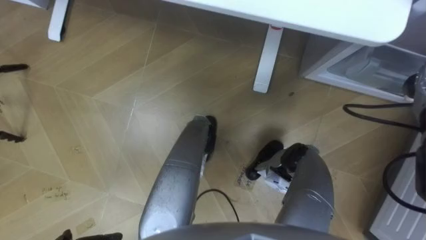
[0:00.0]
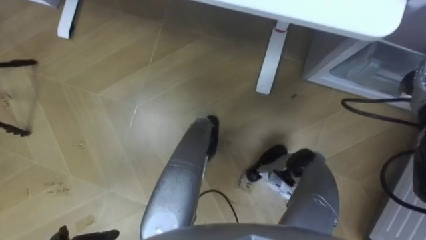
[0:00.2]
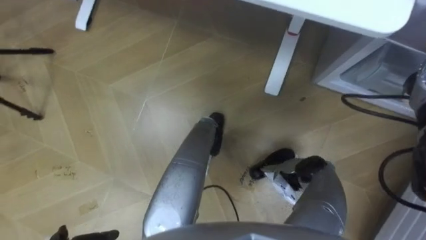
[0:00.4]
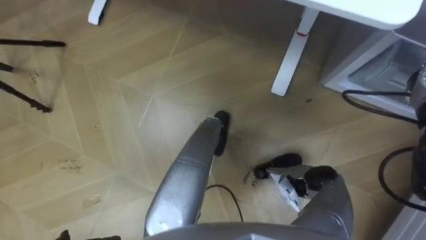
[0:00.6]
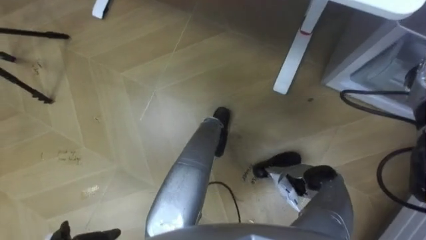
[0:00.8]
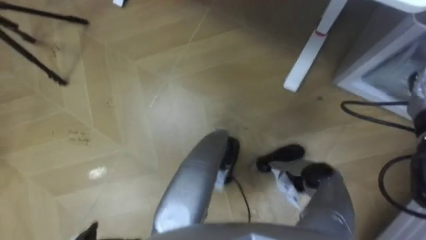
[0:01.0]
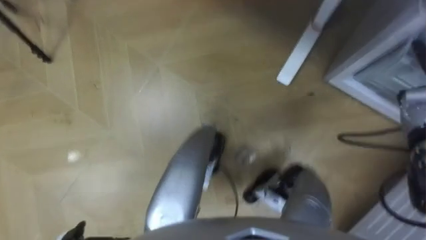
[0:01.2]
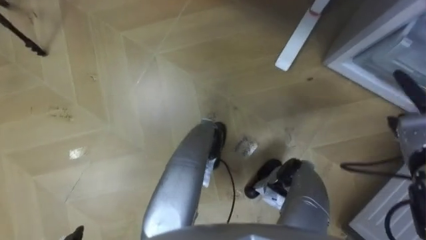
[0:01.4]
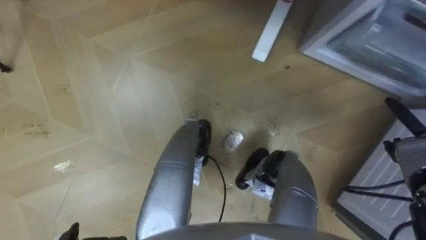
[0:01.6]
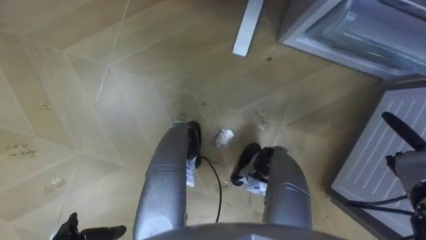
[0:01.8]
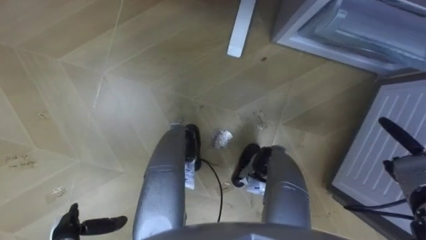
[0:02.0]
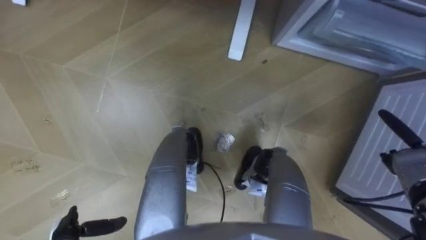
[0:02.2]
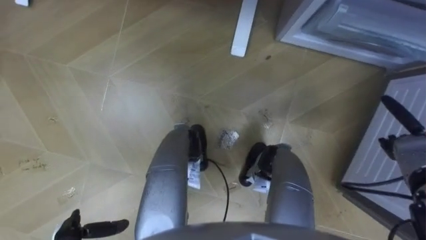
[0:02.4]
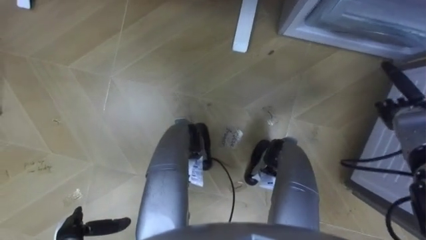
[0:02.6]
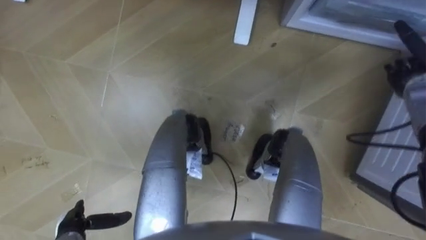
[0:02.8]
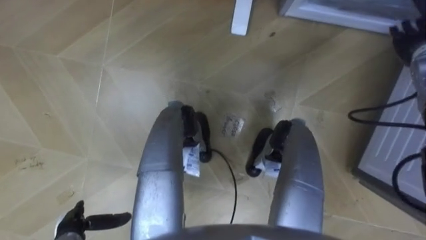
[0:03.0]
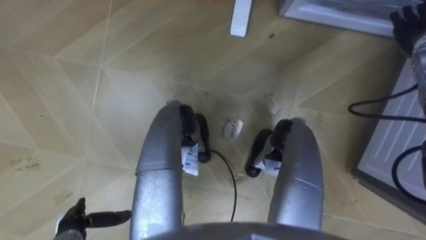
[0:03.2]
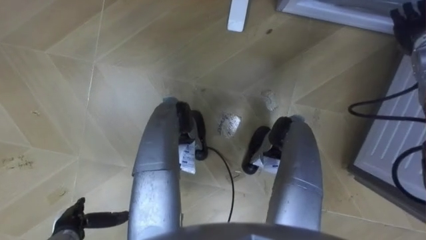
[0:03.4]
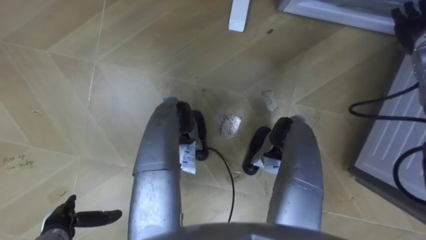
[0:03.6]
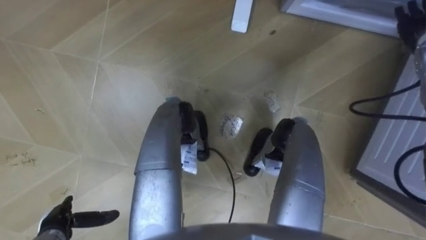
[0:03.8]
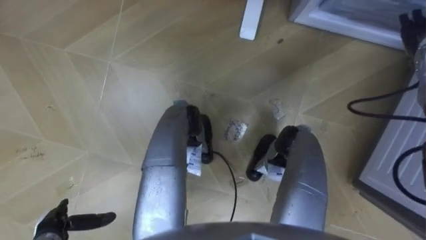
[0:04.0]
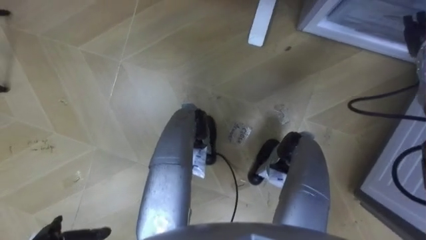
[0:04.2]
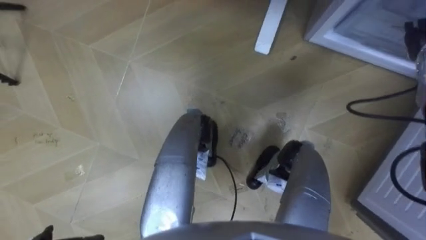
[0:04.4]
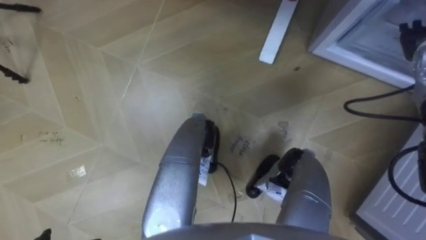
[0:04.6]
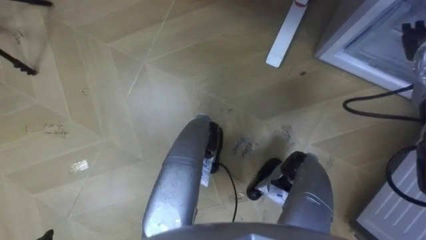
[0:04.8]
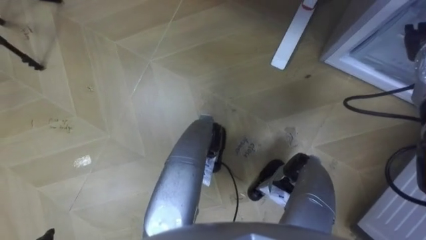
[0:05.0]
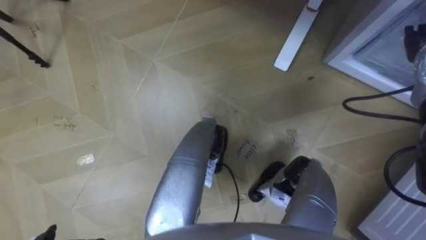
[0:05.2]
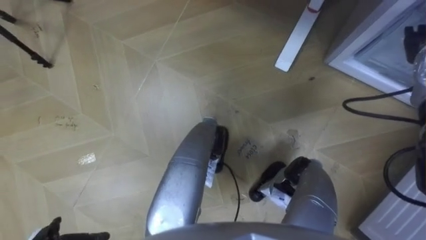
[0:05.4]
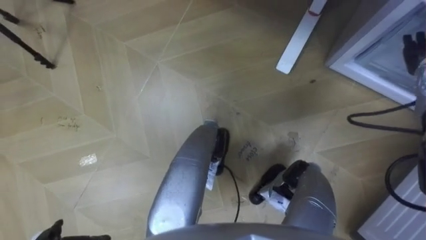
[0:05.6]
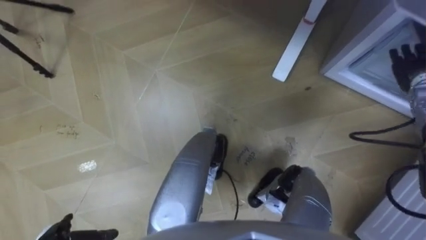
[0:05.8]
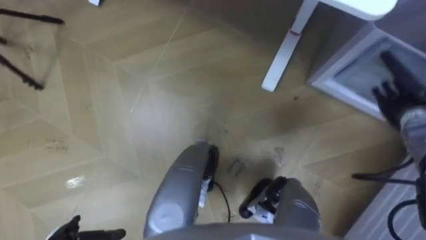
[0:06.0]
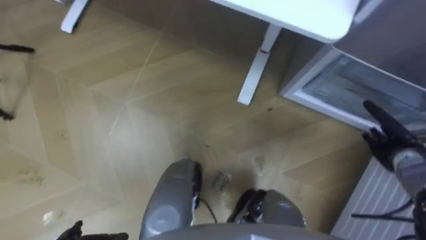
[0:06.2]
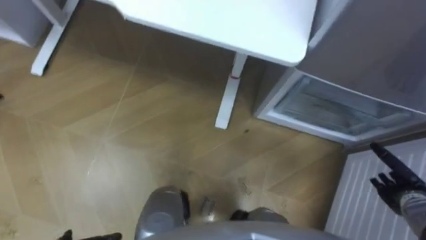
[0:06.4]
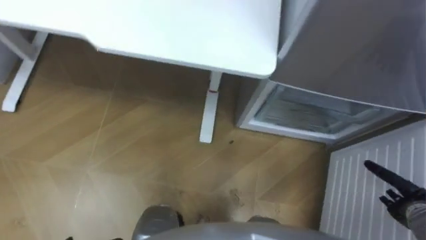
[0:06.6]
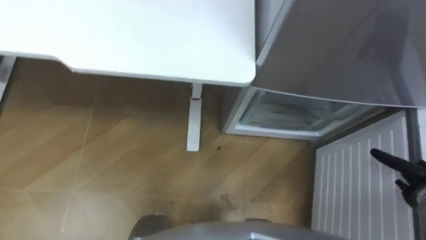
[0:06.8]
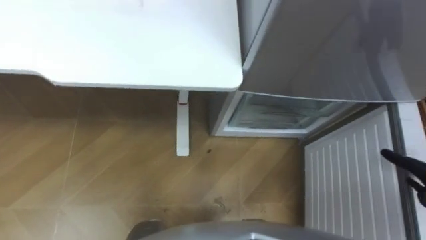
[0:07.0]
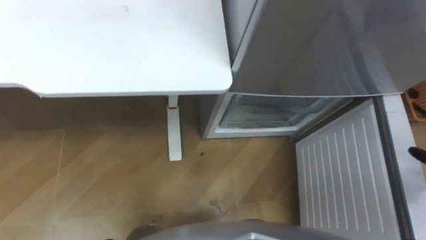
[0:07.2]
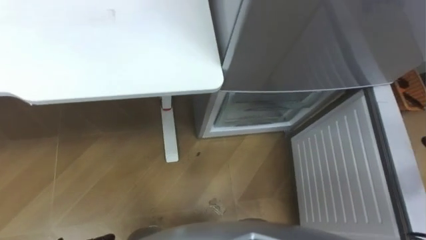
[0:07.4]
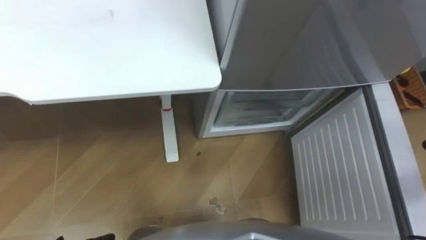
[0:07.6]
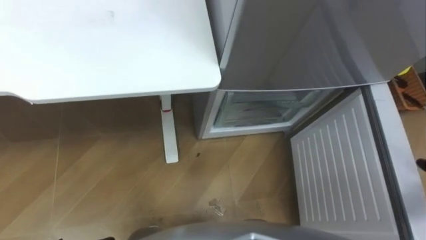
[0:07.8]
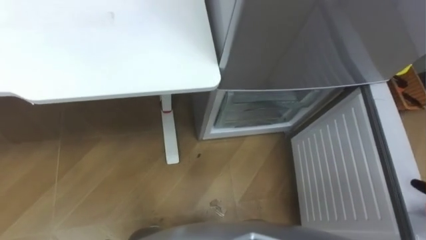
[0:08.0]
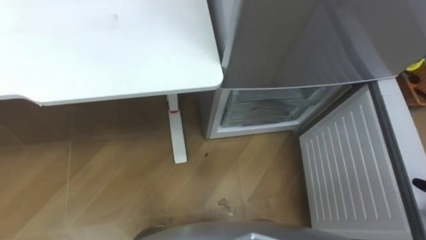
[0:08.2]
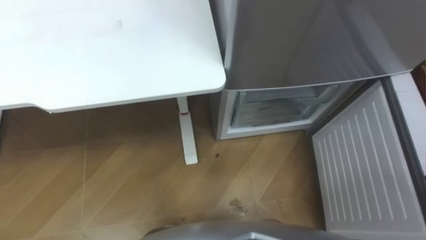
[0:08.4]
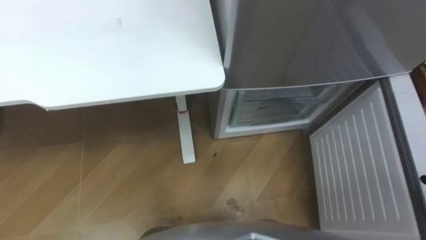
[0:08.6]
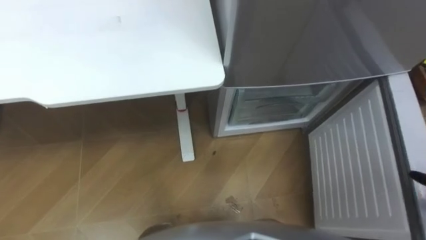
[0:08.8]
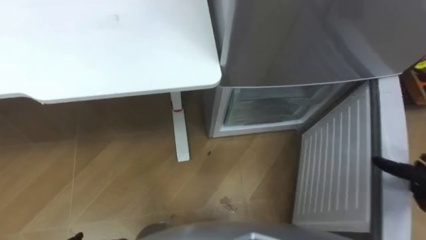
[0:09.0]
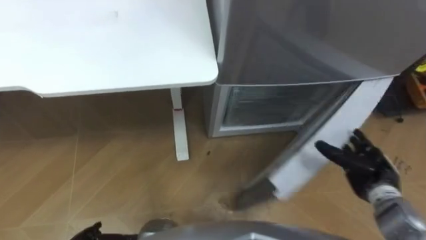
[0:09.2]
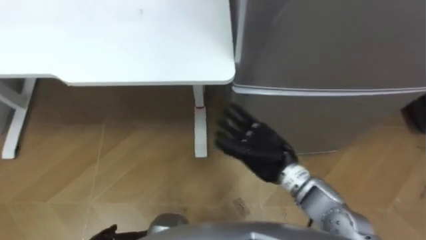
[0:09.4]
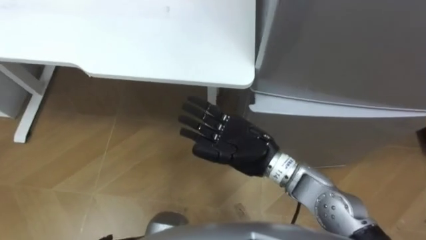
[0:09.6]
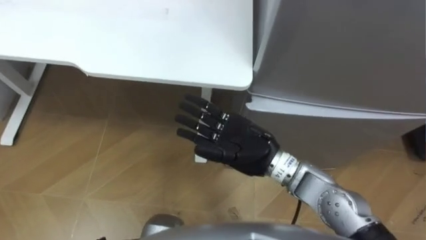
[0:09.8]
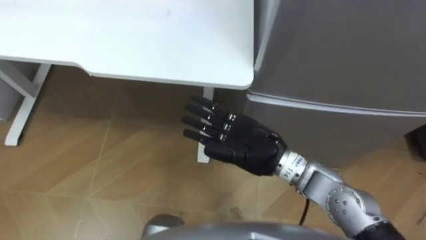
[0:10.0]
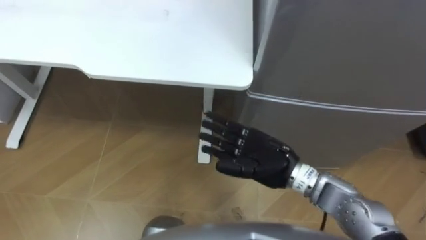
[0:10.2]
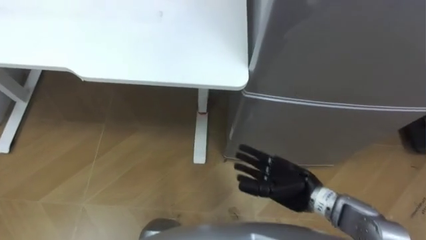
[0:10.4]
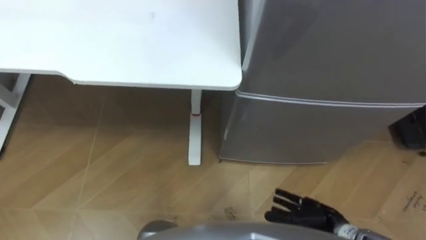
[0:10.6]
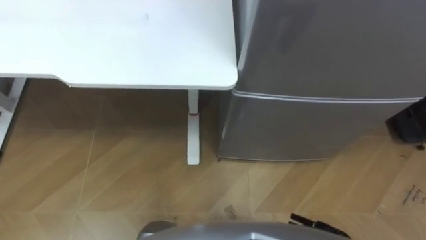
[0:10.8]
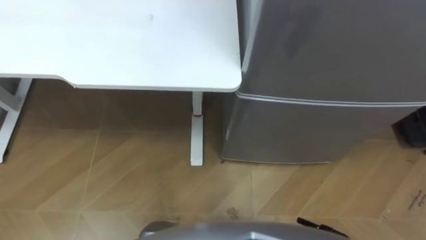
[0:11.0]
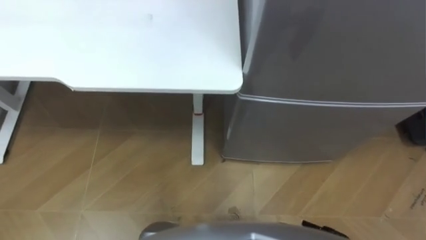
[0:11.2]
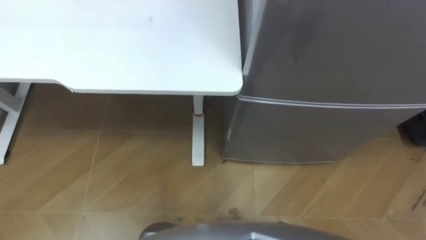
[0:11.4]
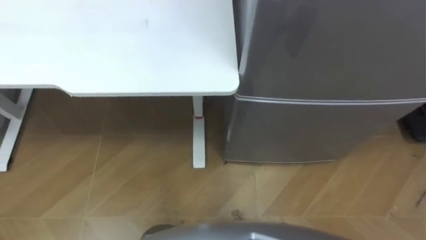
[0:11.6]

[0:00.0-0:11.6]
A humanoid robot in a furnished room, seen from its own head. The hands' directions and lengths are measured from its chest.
Task of the whole recording: Place the drink on the table on the bottom shelf of the refrigerator, then close the drawer and the refrigerator door.
0:01.4 to 0:02.8: The right hand shifts roughly 10 cm forward and upward.

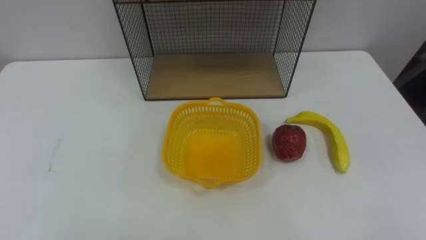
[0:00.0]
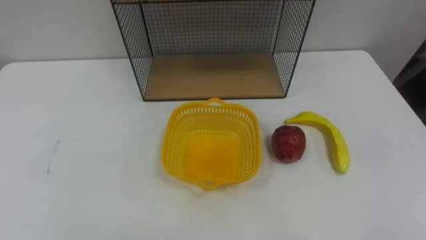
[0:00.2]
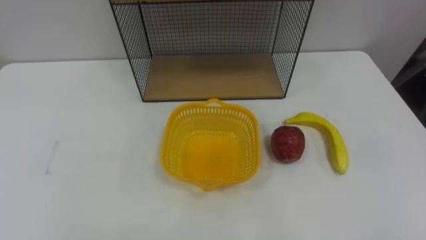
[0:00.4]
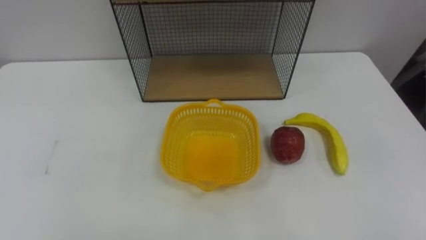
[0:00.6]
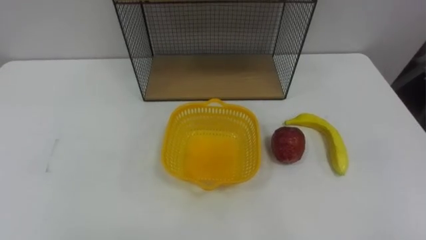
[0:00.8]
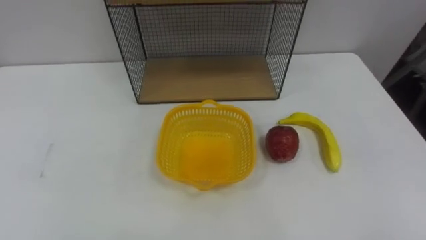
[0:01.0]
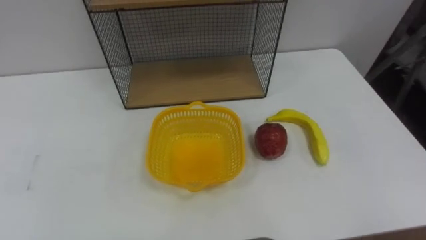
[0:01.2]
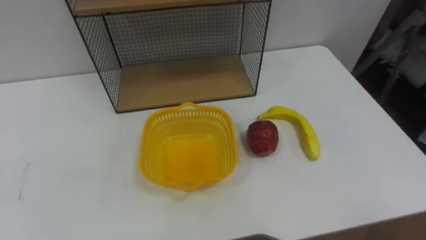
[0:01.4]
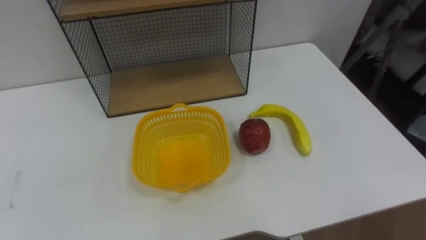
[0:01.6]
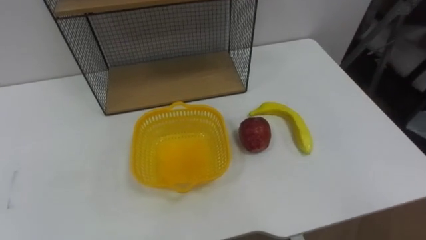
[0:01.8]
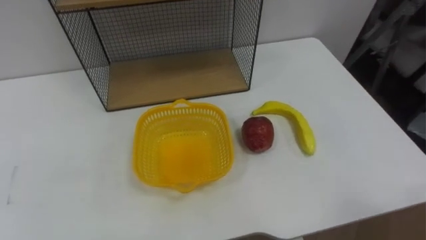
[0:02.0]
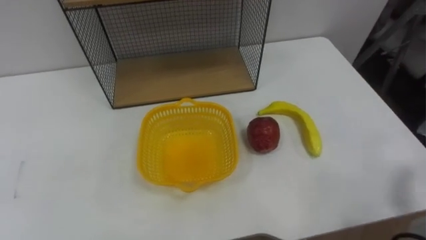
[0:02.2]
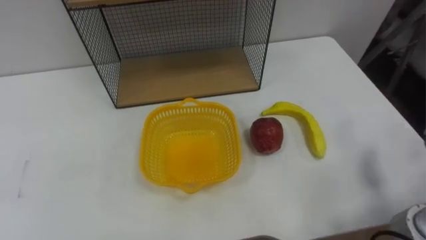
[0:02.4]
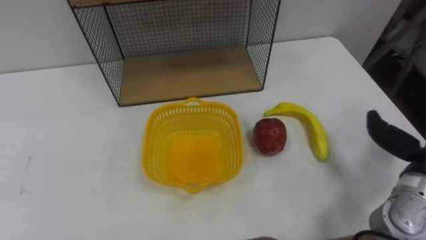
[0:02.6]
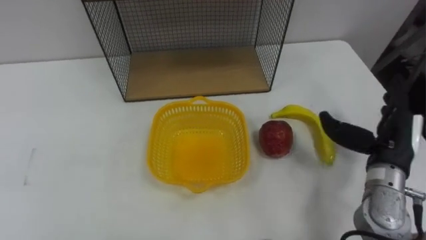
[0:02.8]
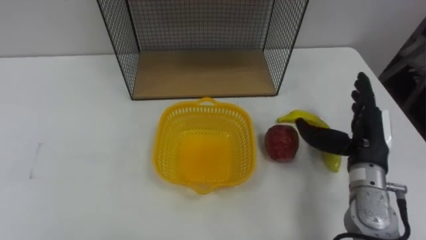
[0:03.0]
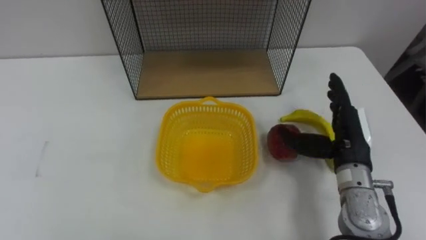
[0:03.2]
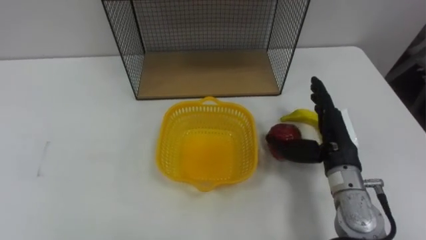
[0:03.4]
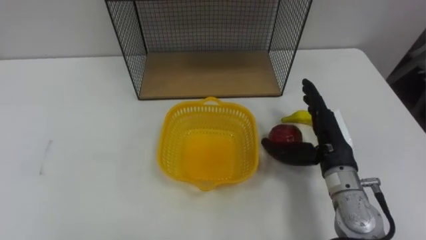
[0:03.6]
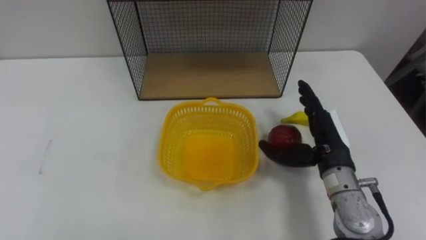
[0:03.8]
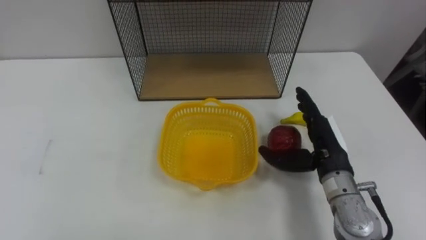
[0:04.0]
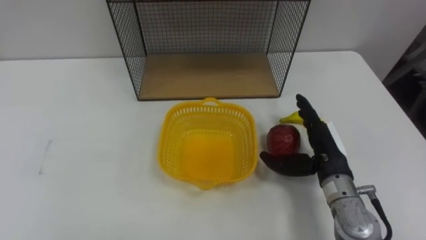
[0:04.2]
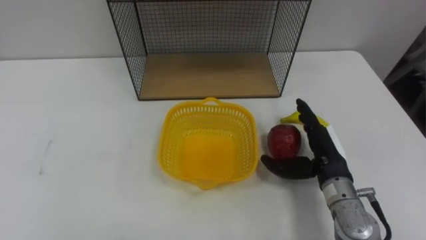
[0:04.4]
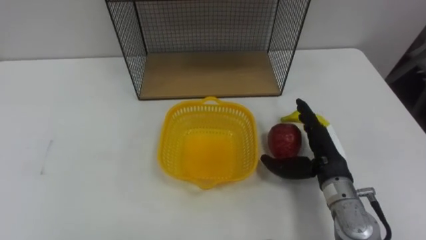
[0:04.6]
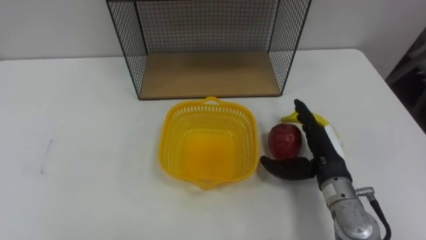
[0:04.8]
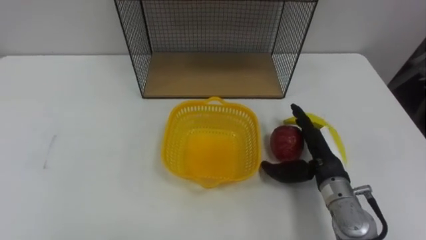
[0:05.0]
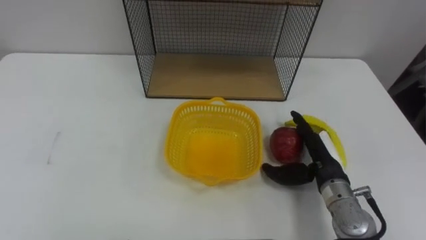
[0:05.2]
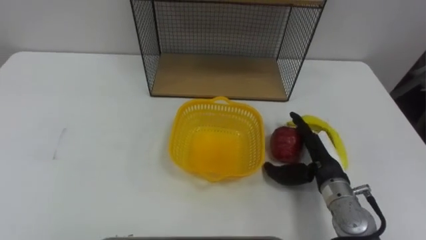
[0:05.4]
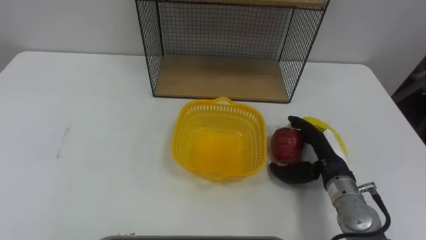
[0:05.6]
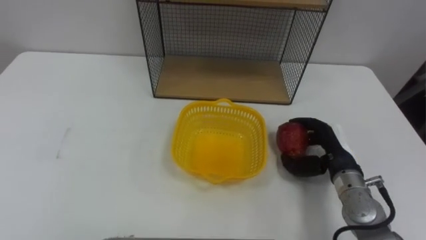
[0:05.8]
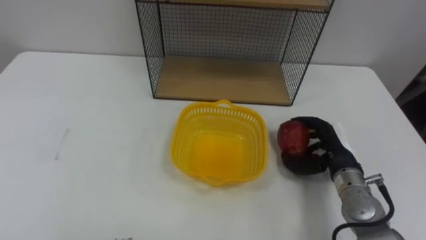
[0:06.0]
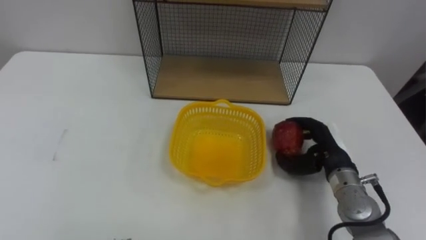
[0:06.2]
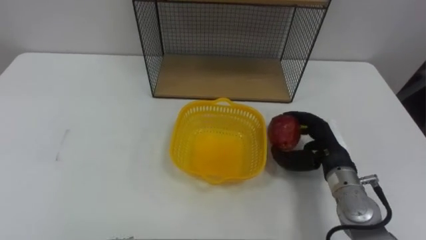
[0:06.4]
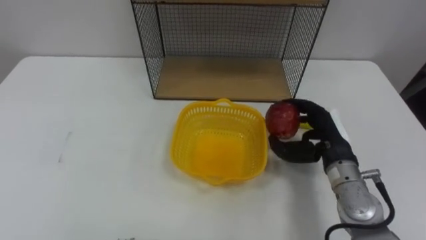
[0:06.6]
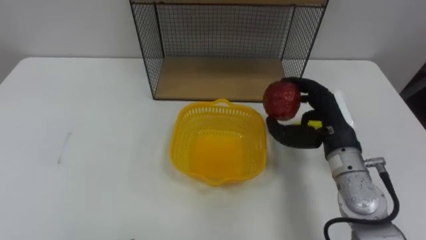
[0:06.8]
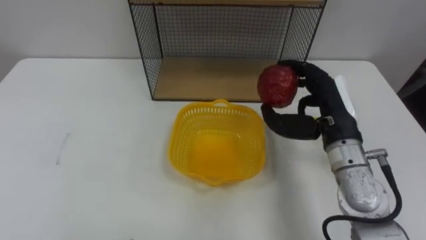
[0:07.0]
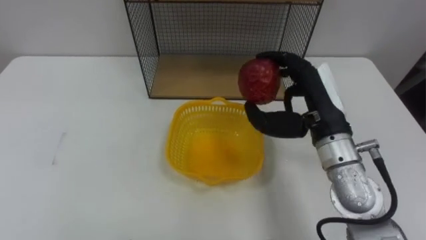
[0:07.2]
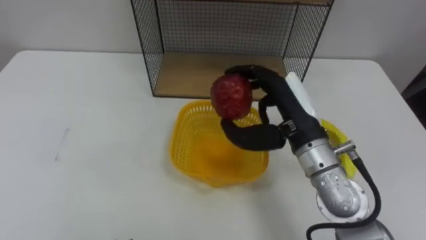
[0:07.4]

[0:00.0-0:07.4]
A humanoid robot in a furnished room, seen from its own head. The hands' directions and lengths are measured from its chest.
Task of the whole recording: Put the fruit on the table into the basket, then place the basket on the shelf.
0:03.0 to 0:04.4: The right hand travels to the left by about 5 cm.
0:04.4 to 0:06.0: The right hand closes up.
0:06.0 to 0:07.4: The right hand heads upward and to the left, covering some 20 cm.
